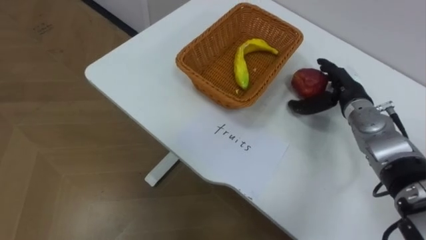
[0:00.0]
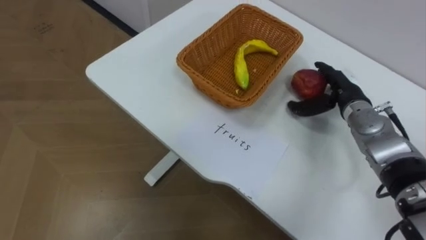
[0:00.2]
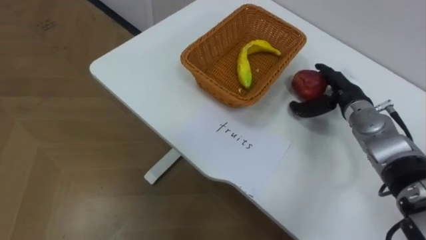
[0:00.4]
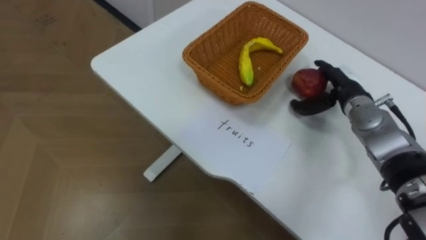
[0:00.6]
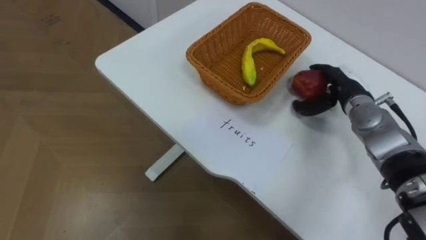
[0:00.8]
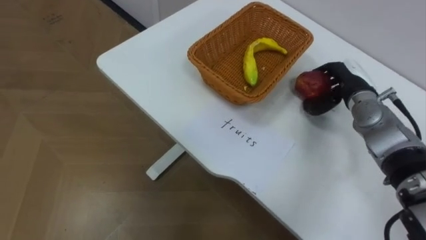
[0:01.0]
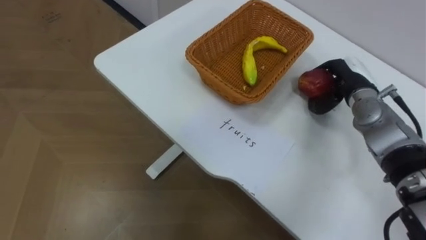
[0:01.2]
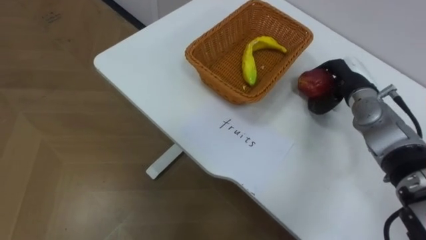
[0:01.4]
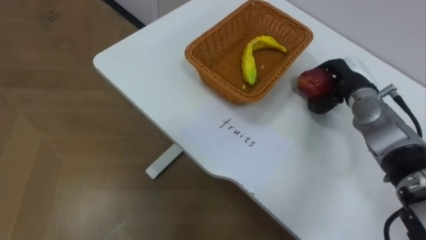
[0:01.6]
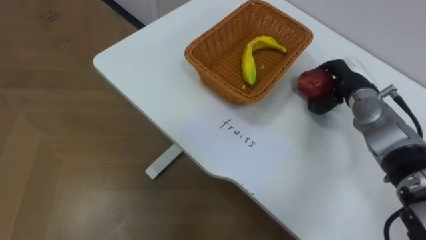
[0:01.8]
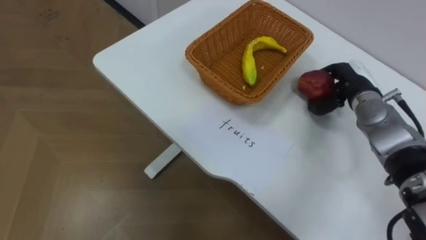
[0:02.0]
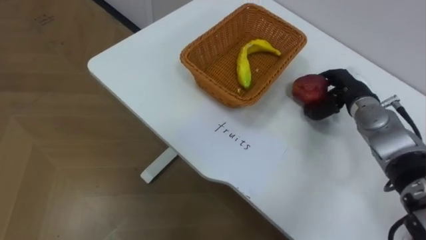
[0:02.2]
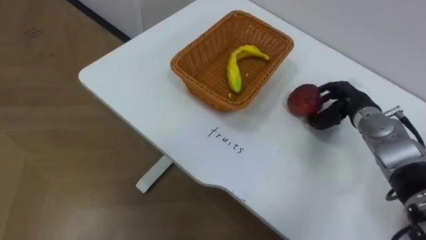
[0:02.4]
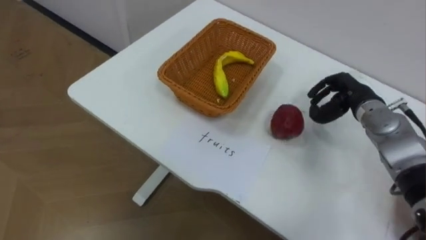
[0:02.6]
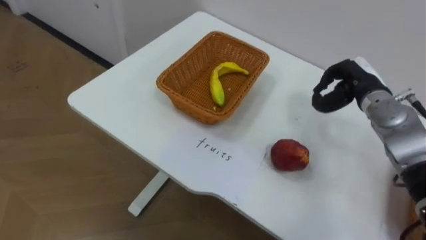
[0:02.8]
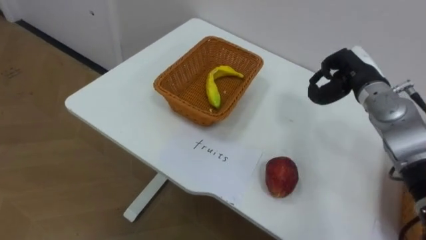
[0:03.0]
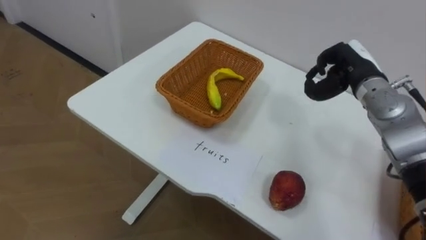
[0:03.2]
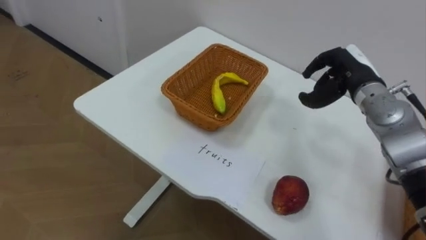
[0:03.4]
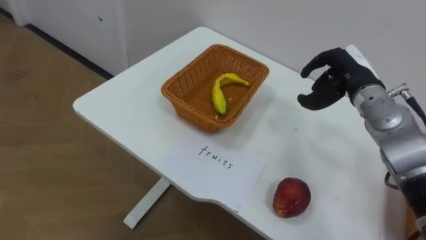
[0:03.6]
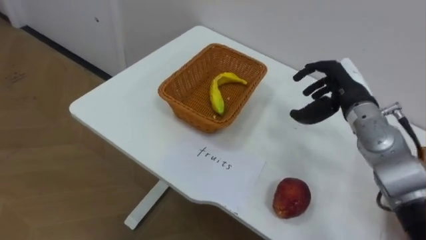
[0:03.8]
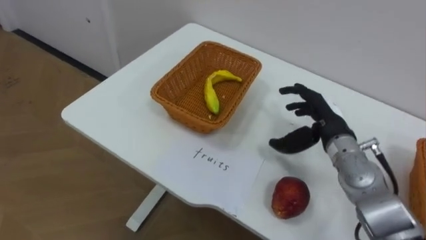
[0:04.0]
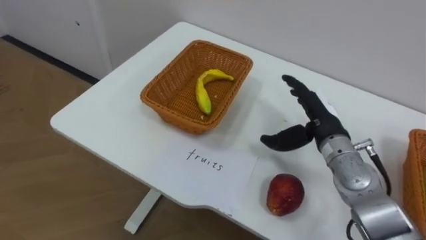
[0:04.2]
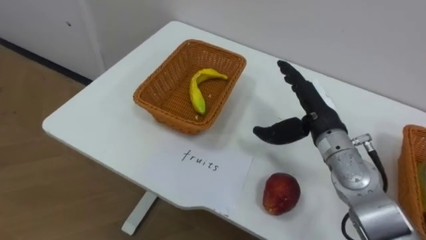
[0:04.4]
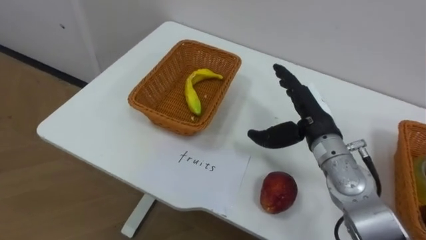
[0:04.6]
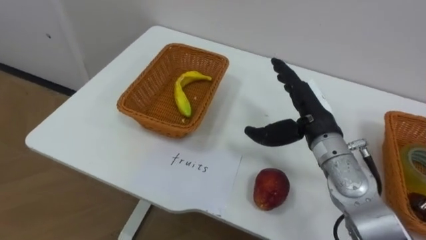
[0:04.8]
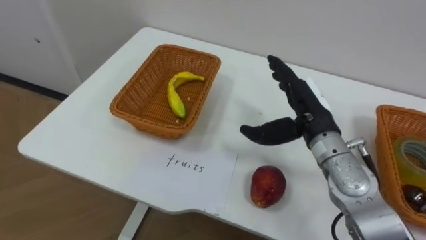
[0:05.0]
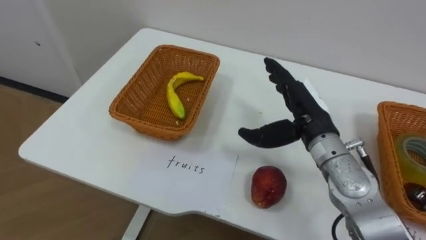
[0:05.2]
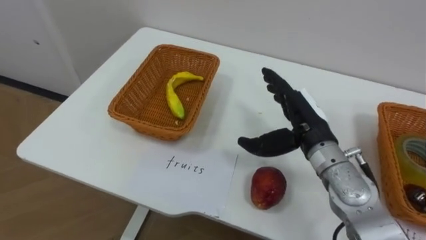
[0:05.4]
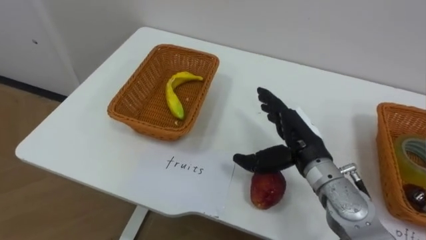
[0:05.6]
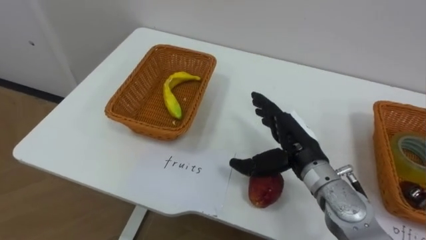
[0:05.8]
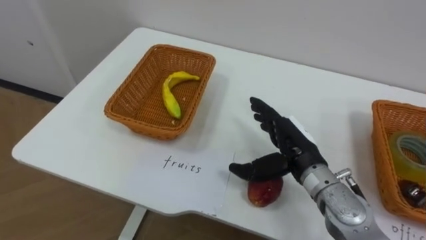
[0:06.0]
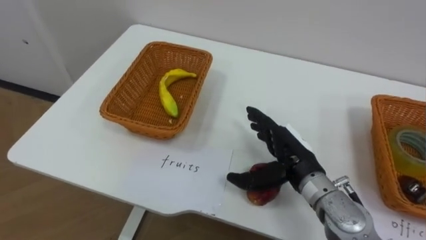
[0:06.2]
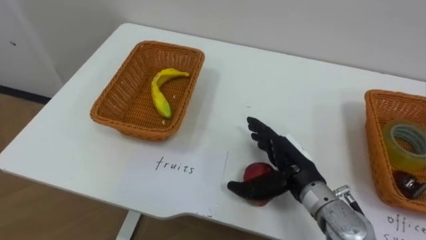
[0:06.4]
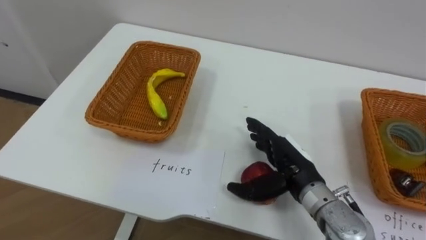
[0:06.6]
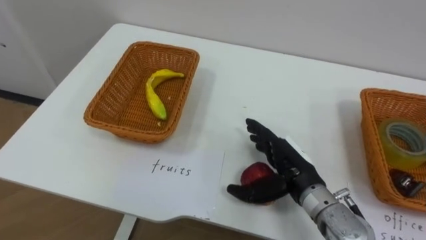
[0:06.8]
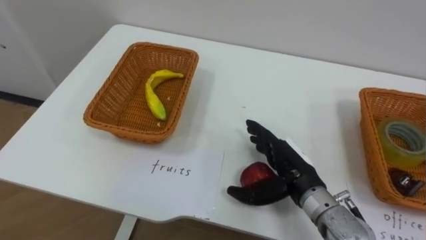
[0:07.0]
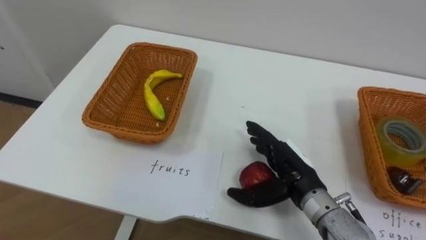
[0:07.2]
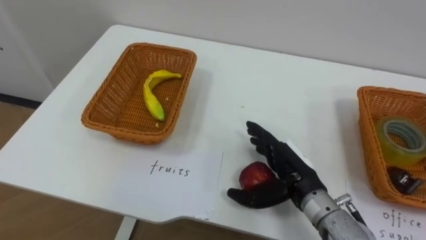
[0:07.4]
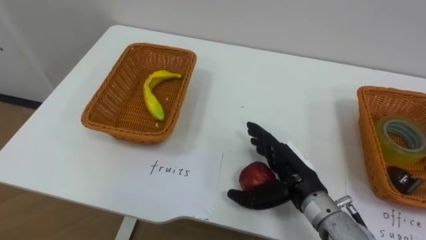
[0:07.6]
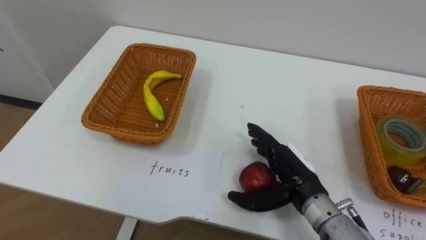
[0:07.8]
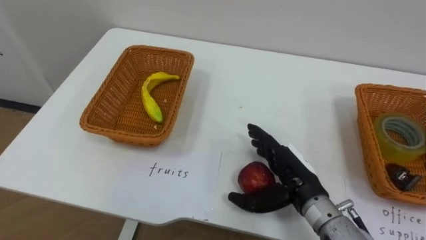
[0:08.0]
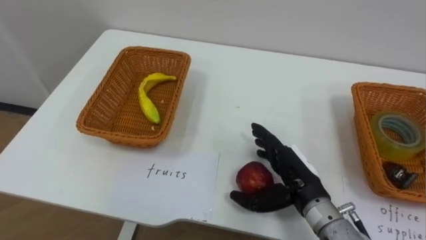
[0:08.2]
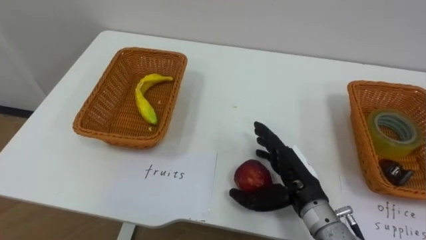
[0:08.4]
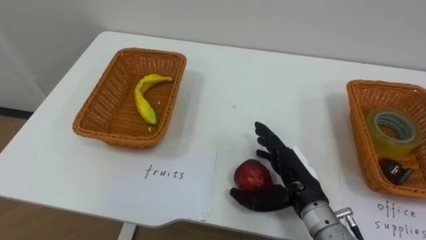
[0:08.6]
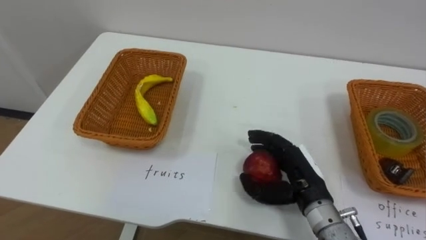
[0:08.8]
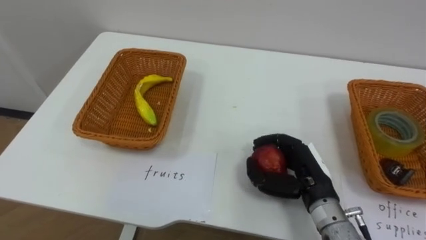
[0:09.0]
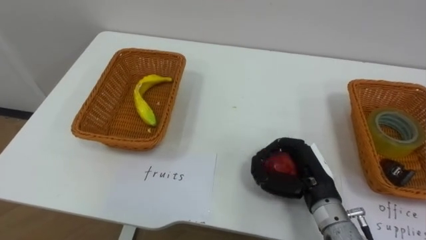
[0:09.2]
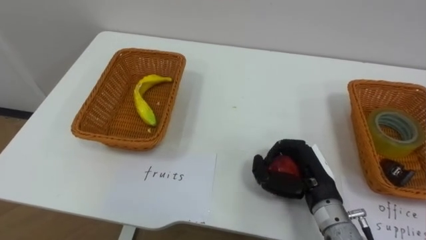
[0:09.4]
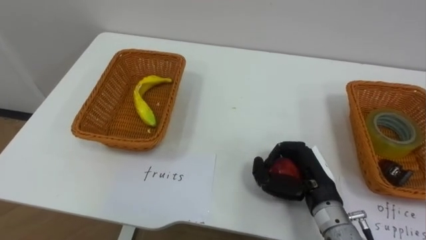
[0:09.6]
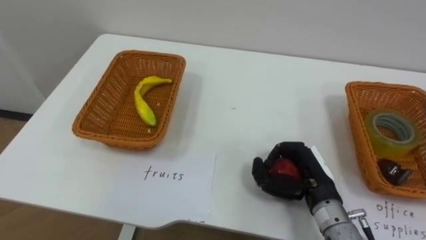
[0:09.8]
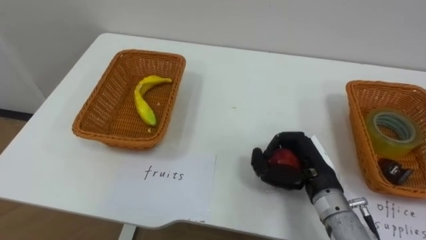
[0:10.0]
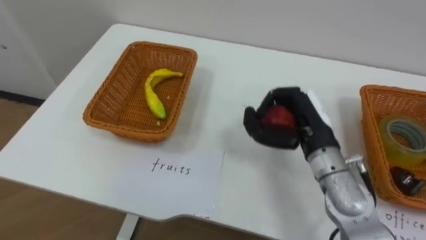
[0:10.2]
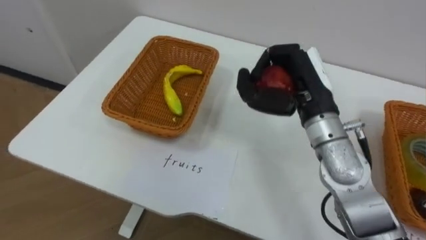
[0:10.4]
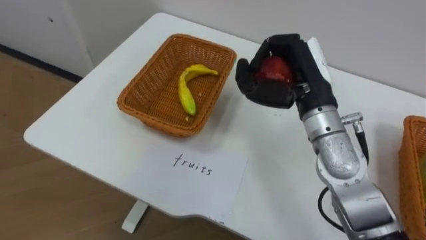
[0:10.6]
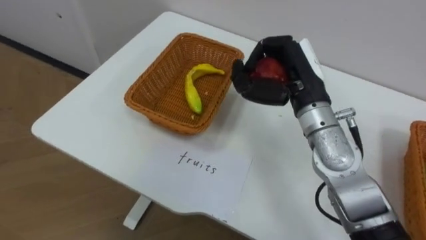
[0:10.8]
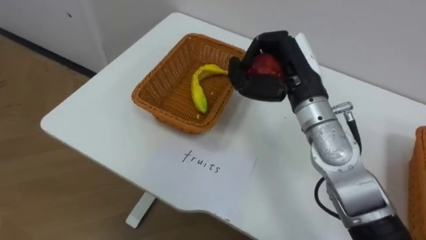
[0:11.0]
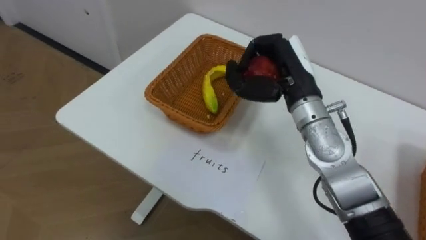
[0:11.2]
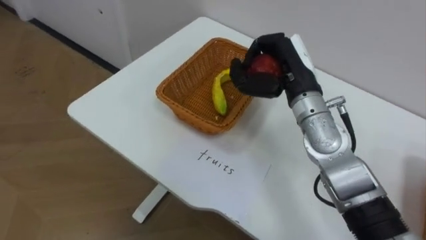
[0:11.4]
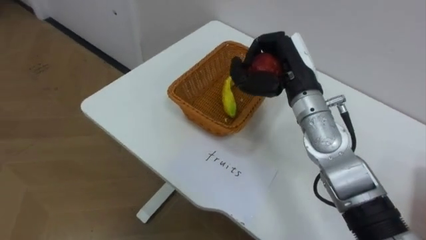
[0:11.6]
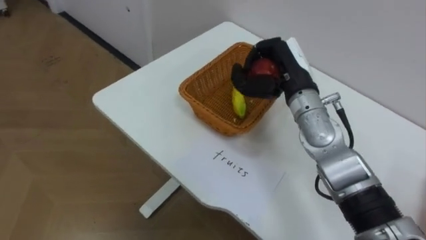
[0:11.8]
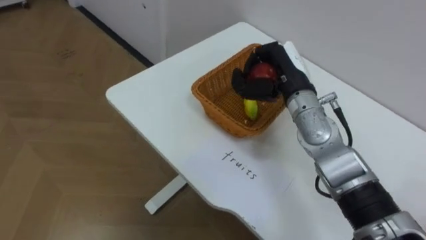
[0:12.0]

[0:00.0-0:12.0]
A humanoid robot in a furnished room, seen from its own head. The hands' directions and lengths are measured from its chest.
Task of the whole recording: Separate the items on the table and place them into the two baskets.
0:00.0 to 0:01.6: The right hand closes its fingers.
0:03.0 to 0:04.4: The right hand moves to the left and backward, approximately 10 cm, and opens its fingers.
0:04.4 to 0:06.0: The right hand changes place by roughly 5 cm.
0:07.6 to 0:09.0: The right hand closes.
0:09.0 to 0:10.4: The right hand goes some 15 cm upward and forward.
0:10.4 to 0:12.0: The right hand is displaced forward by roughly 5 cm.

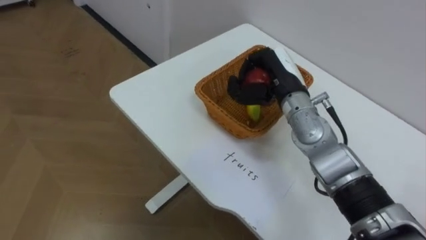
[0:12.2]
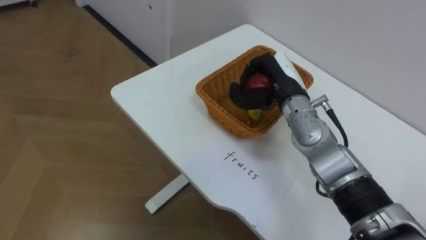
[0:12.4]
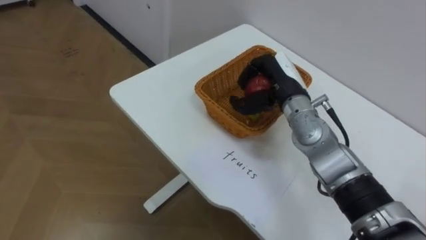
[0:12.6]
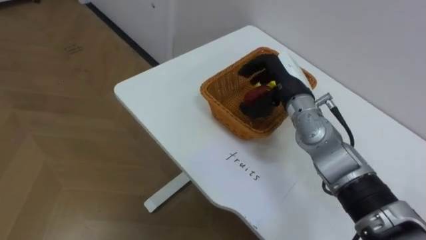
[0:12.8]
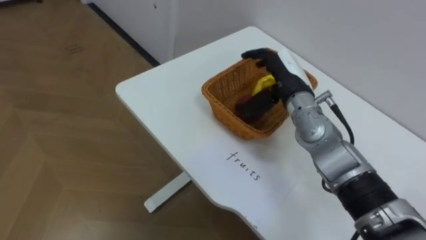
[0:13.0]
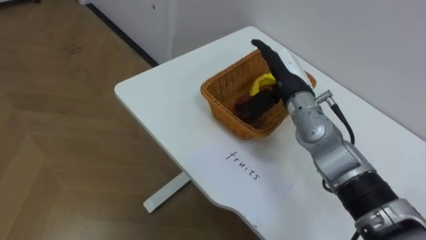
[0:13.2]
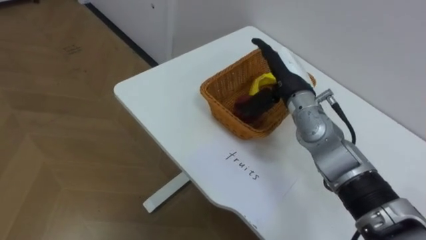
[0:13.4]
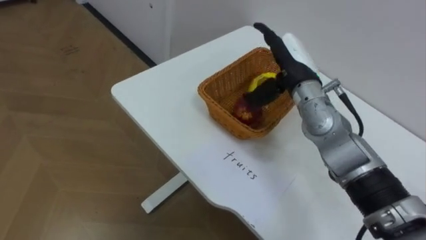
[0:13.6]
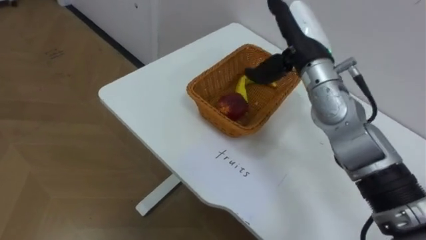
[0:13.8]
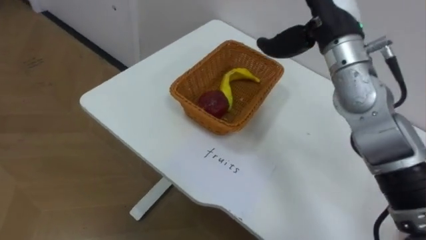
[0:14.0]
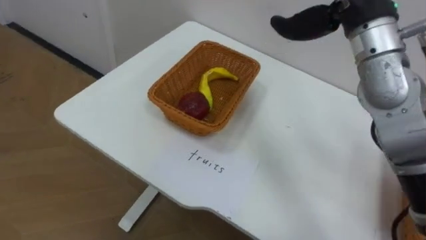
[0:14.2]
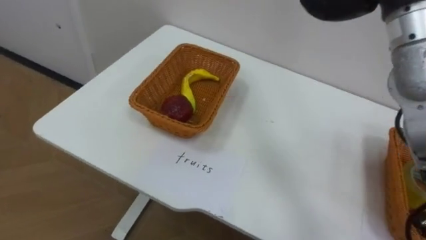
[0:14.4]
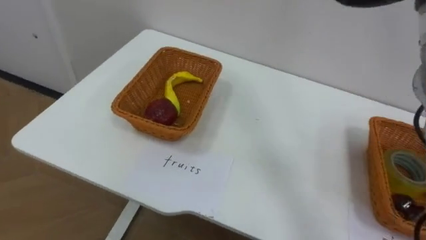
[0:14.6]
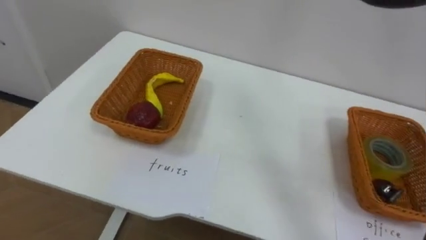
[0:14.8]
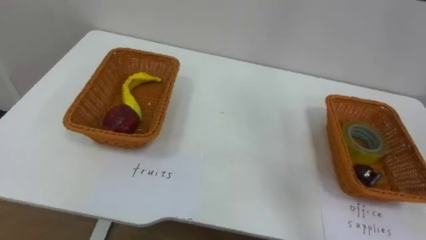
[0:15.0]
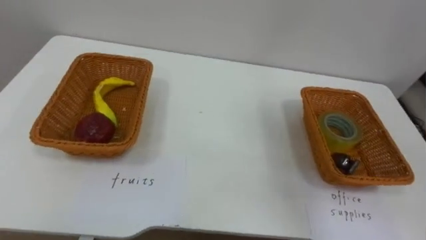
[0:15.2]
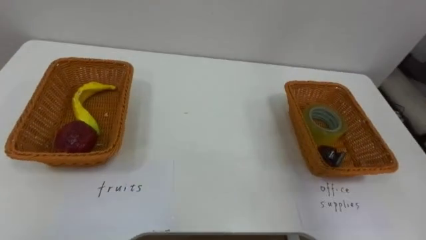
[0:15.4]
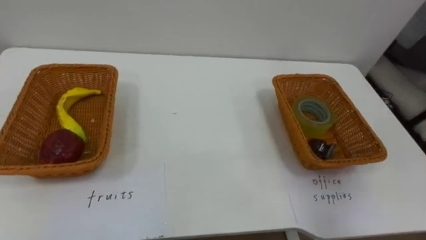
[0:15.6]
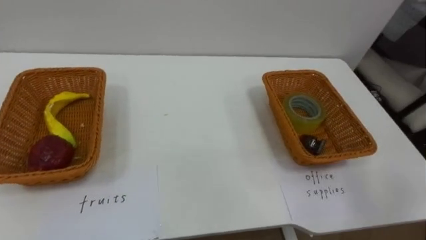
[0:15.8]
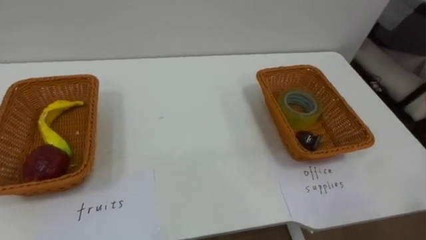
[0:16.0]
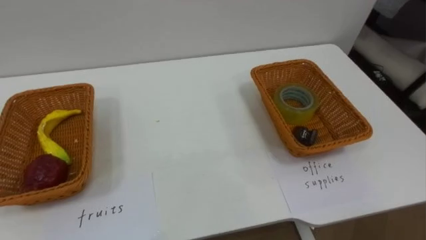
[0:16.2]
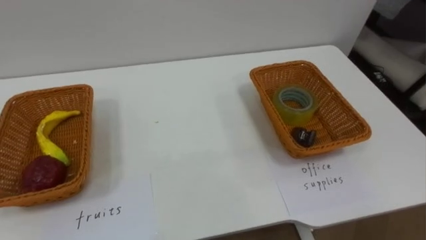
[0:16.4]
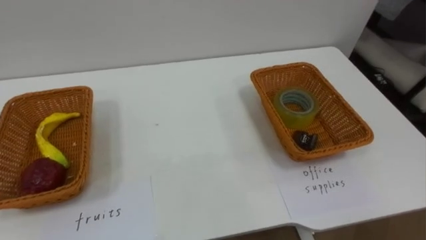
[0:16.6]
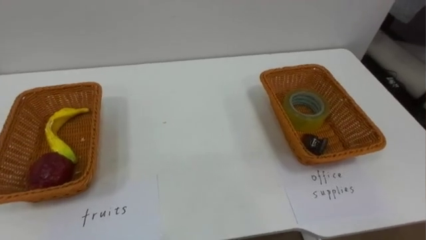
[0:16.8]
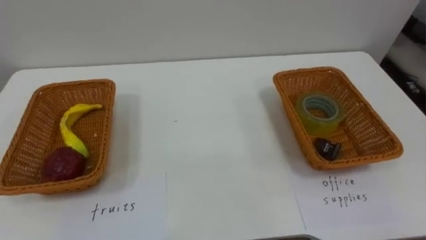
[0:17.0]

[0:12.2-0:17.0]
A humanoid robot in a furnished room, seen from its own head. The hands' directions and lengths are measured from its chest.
Task of the whole recording: Separate the items on the table and place them into the two baskets.
0:12.2 to 0:13.8: The right hand heads upward, covering about 10 cm, and opens up.
